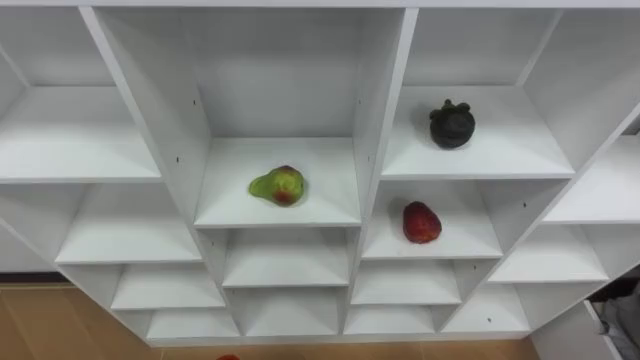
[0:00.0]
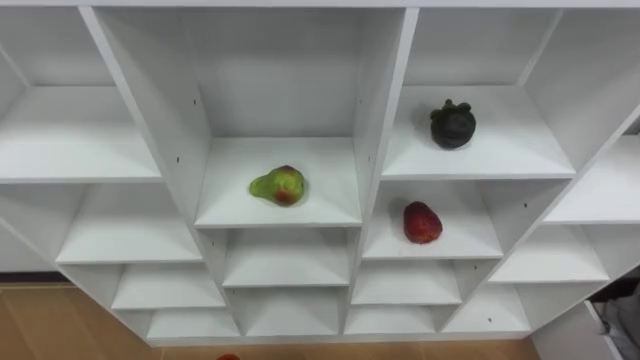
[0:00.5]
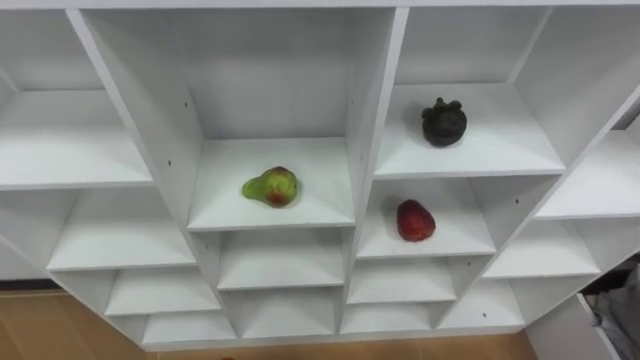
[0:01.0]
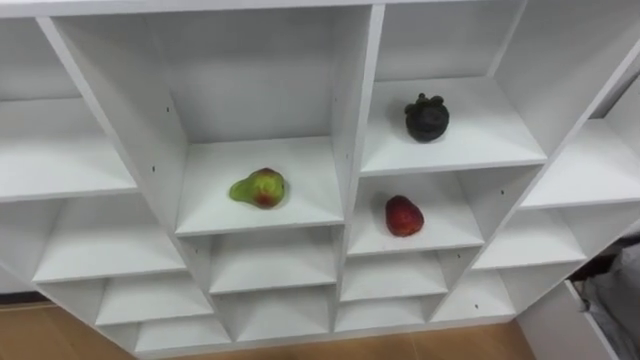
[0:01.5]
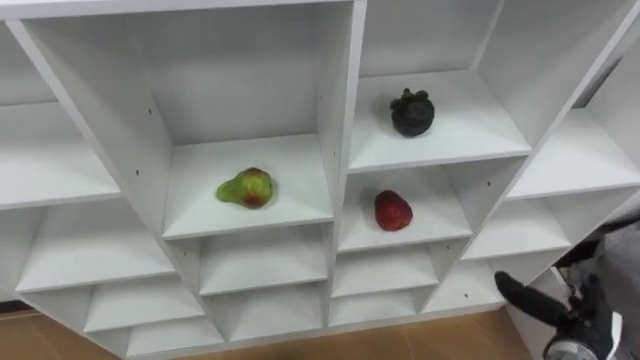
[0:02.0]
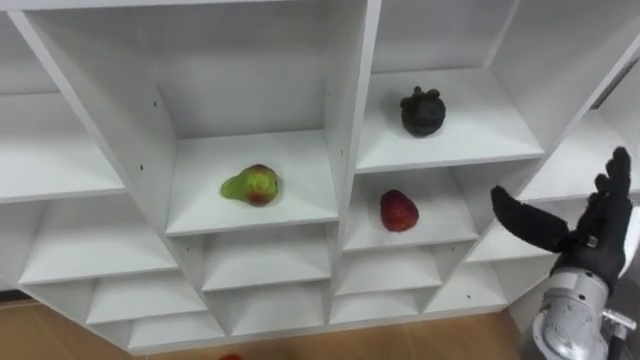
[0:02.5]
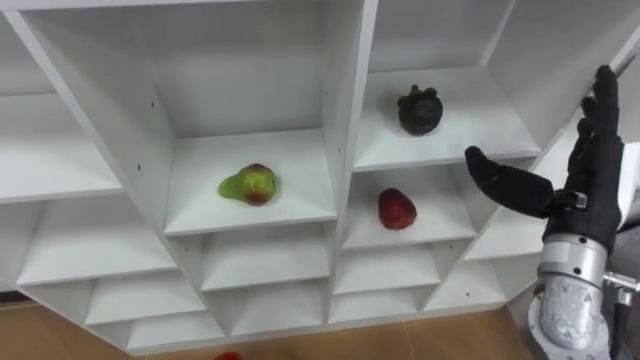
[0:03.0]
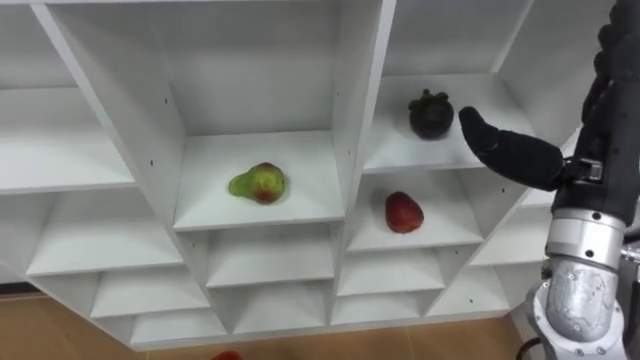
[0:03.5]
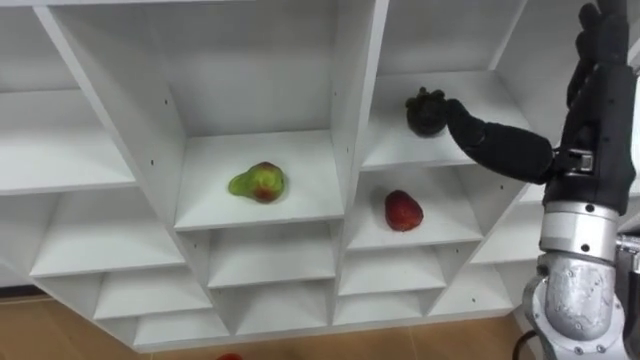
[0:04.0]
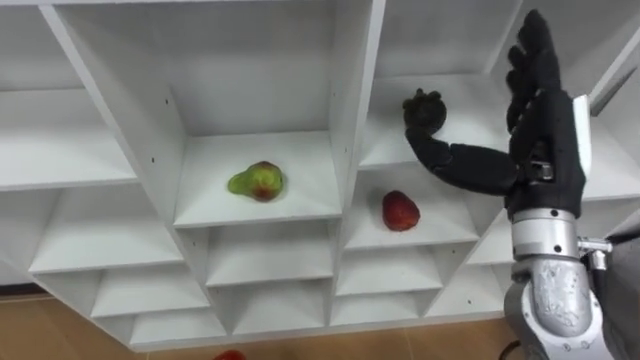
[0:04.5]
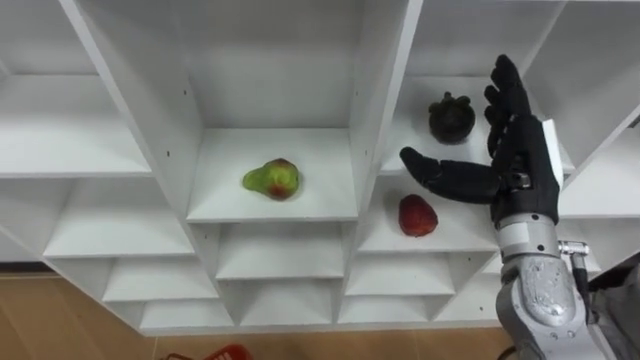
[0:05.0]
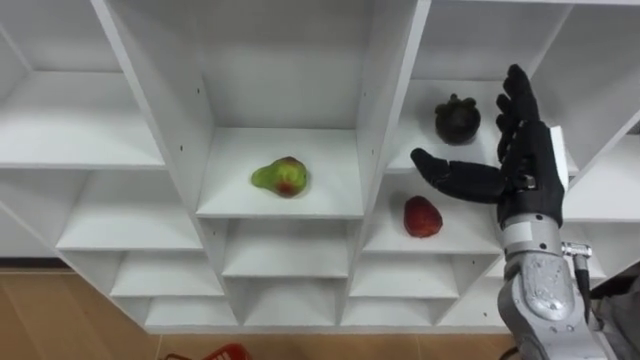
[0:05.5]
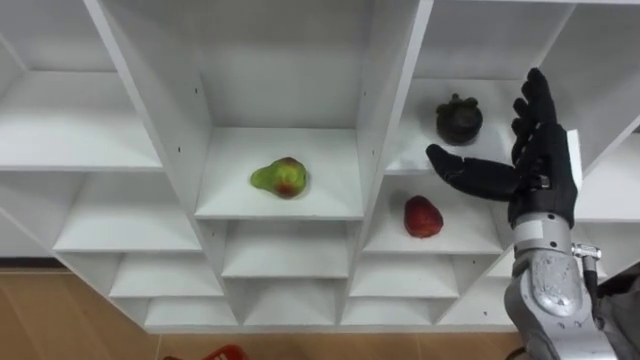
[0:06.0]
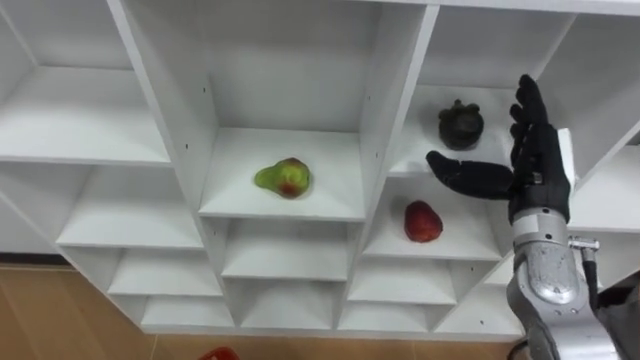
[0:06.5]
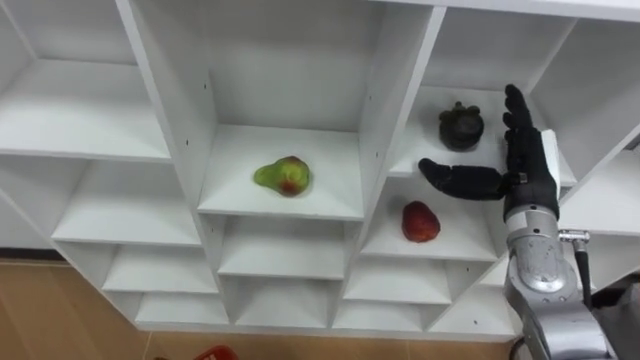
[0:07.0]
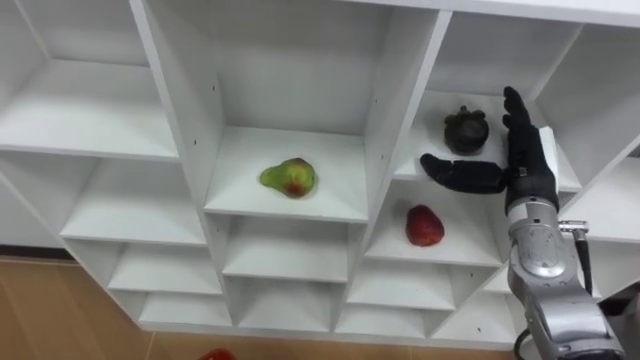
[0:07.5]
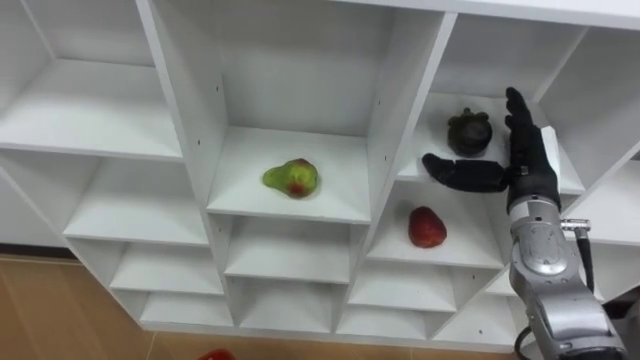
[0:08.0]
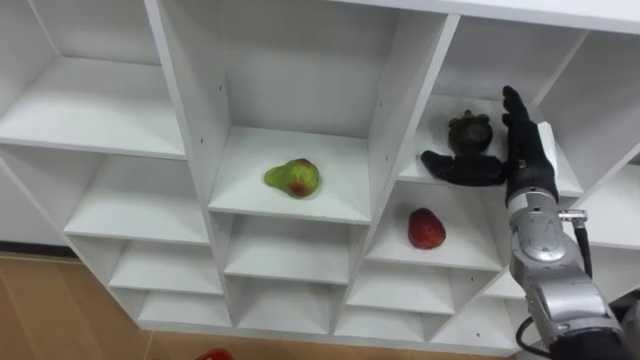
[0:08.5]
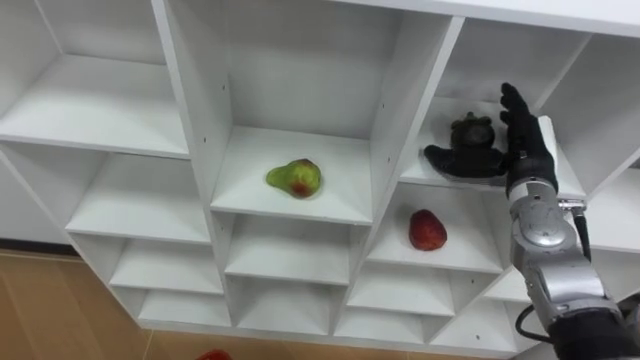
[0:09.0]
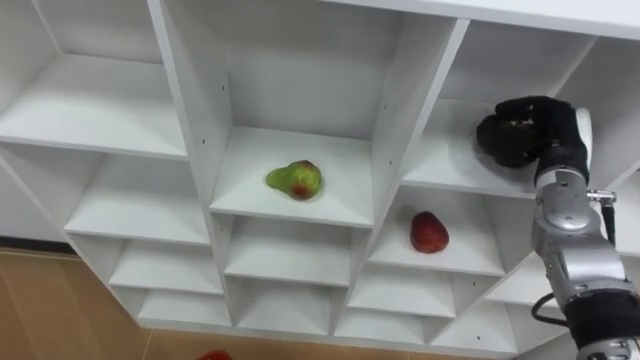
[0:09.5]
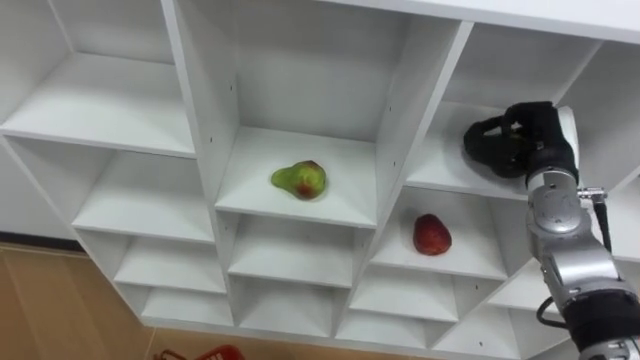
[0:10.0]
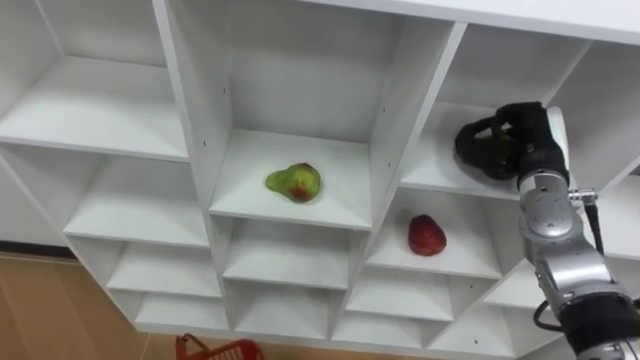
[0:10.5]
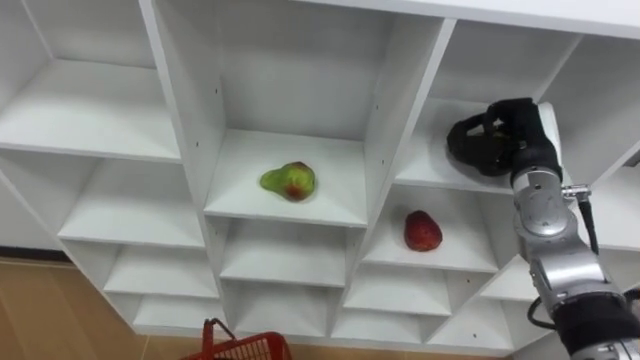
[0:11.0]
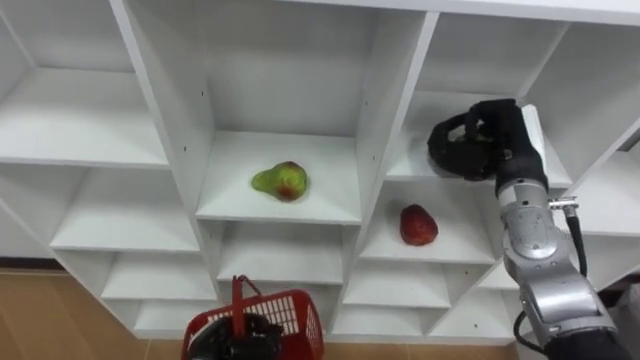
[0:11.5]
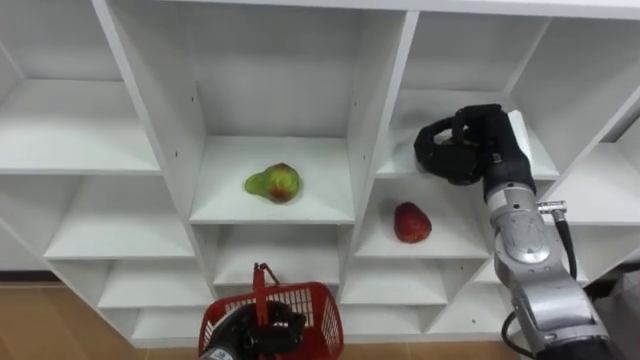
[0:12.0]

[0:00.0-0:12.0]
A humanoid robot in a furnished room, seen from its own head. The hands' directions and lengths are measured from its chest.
Task of the whole recording: Hold the basket and collect the fruits from 3 different cells of the closet into it.
0:02.0 to 0:04.0: The right hand moves upward, roughly 30 cm.
0:04.0 to 0:06.0: The right hand shifts roughly 10 cm downward.
0:06.0 to 0:08.0: The right hand ends up roughly 5 cm from where it was.
0:08.0 to 0:10.0: The right hand closes up.
0:10.0 to 0:12.0: The right hand is displaced to the left by approximately 5 cm.

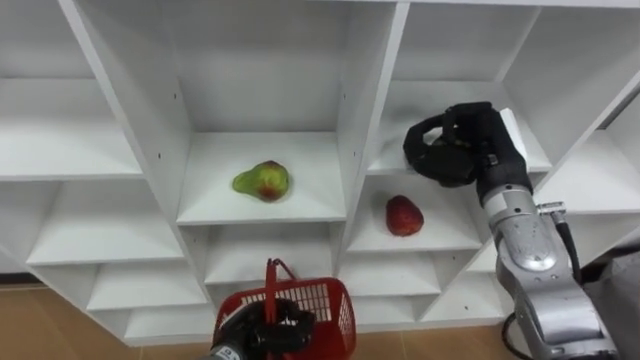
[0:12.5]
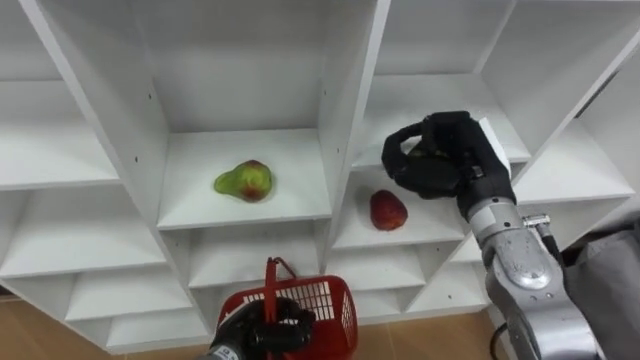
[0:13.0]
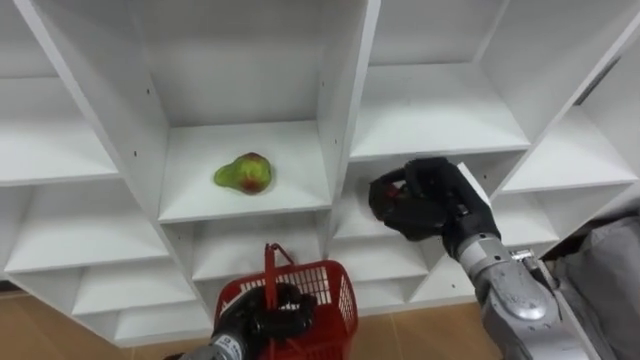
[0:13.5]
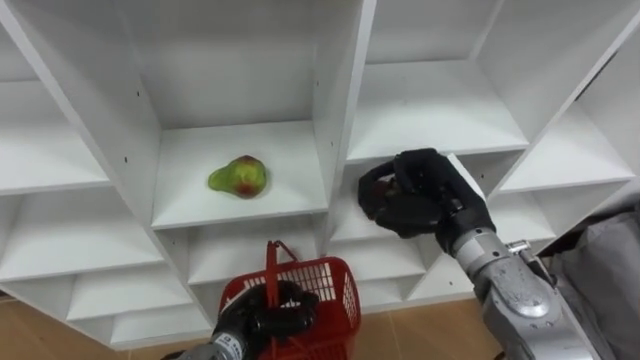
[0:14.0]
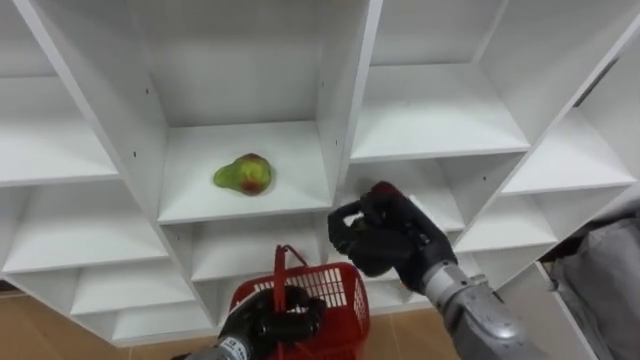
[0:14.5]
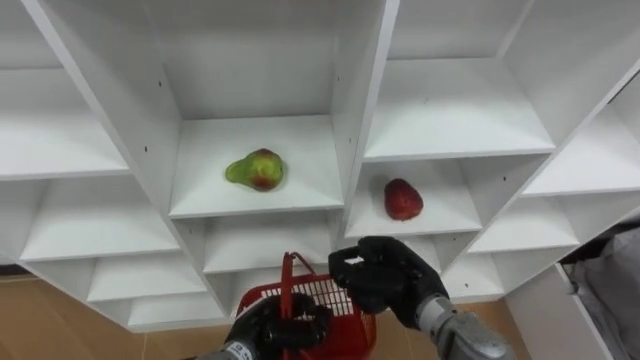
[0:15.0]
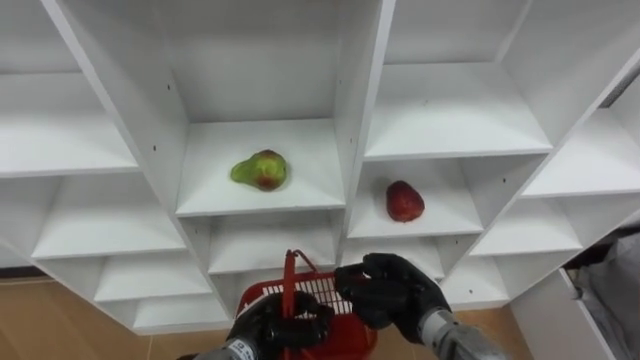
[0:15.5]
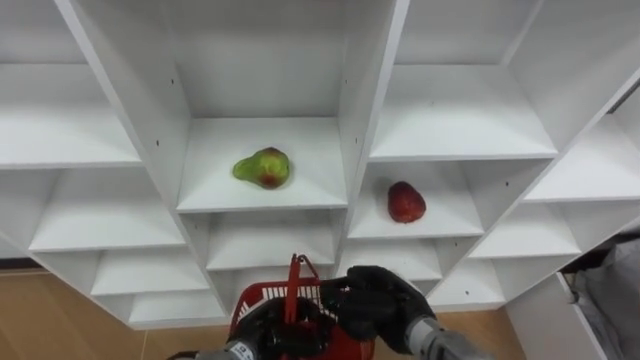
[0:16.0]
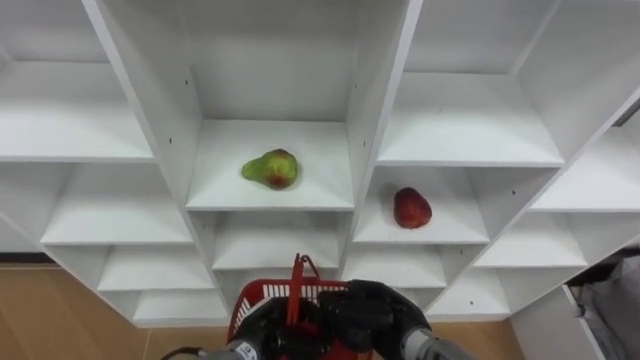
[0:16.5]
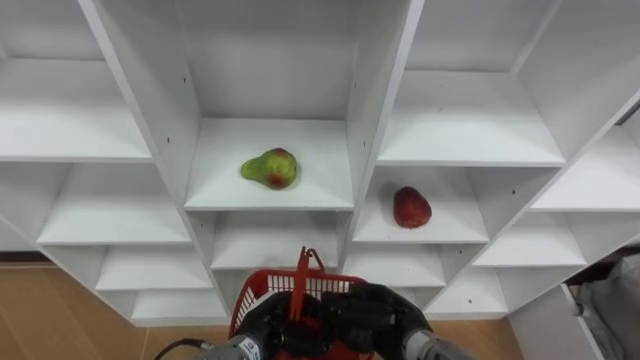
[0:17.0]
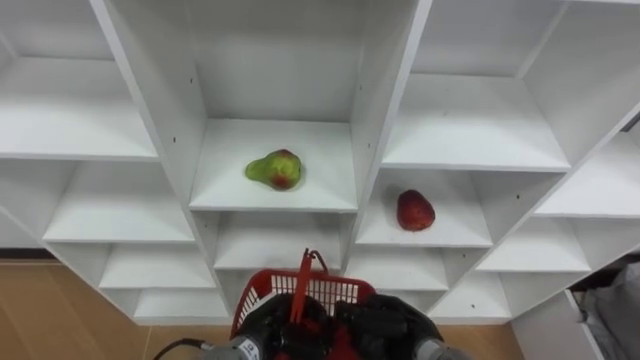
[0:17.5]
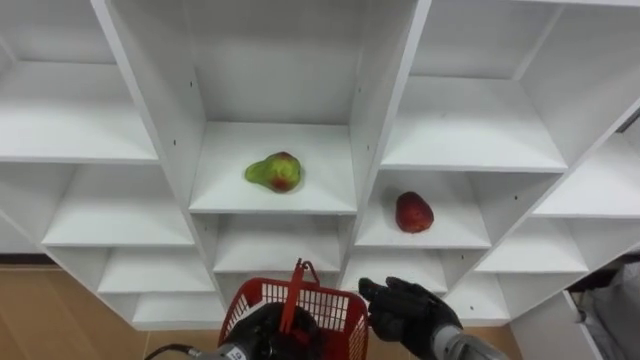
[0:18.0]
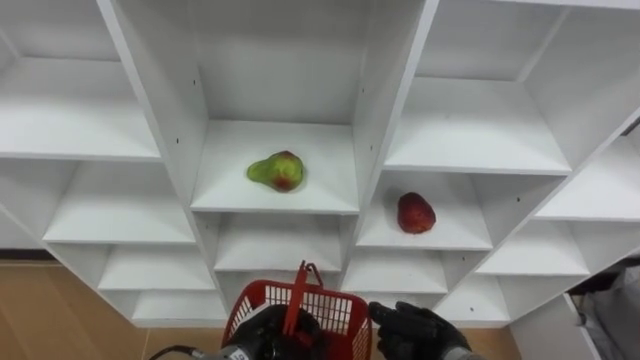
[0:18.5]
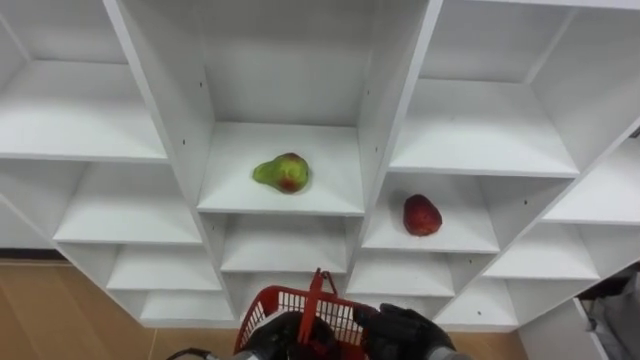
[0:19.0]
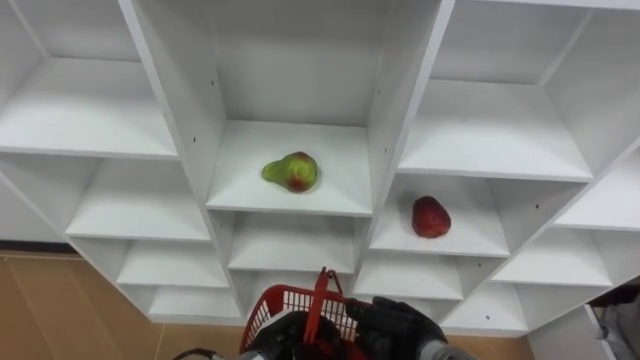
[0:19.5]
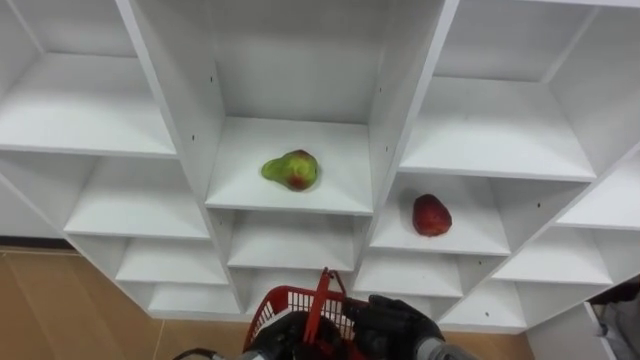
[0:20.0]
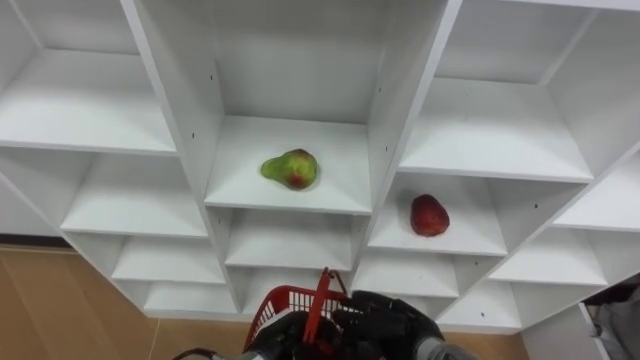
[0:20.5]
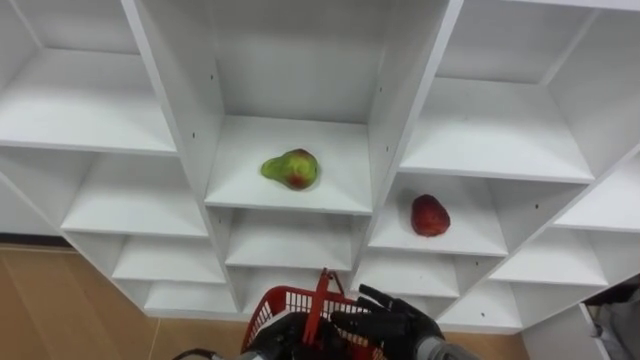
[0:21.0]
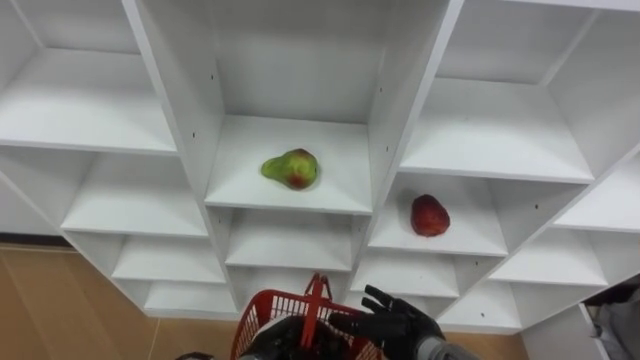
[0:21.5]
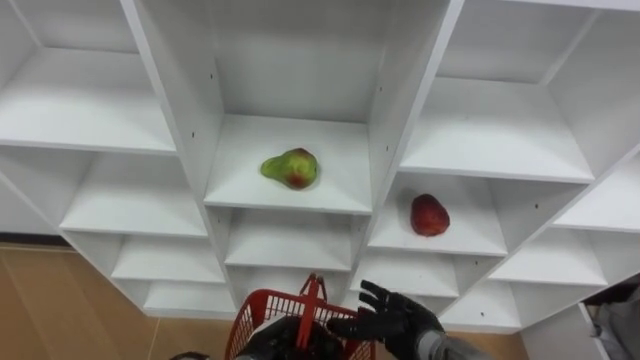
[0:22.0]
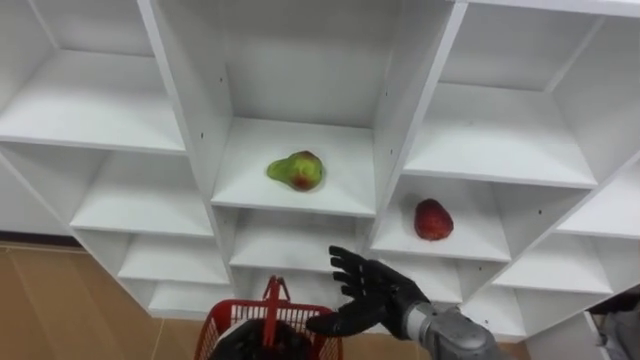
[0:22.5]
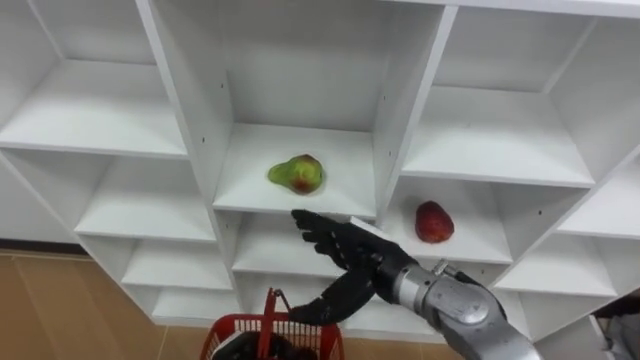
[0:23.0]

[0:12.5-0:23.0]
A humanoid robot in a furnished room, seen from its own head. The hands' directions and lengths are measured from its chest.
Task of the whole recording: Hold the basket and collect the fruits from 3 different cells of the closet into it.
0:12.5 to 0:14.5: The right hand shifts roughly 15 cm to the left, backward and downward.
0:14.5 to 0:16.5: The right hand goes roughly 15 cm downward and backward.
0:16.5 to 0:19.0: The right hand ends up approximately 5 cm from where it was.
0:19.0 to 0:21.0: The right hand opens its fingers.
0:21.0 to 0:23.0: The right hand heads upward, covering approximately 15 cm. The left hand shifts roughly 5 cm to the left.
